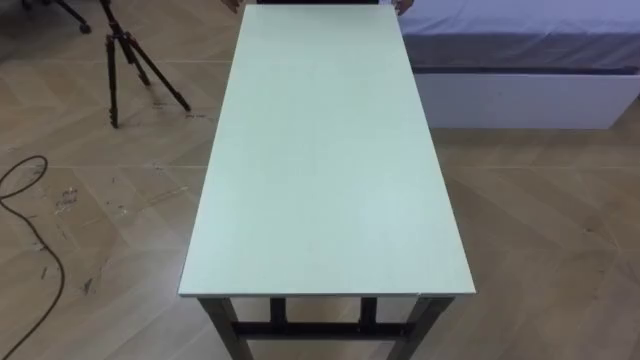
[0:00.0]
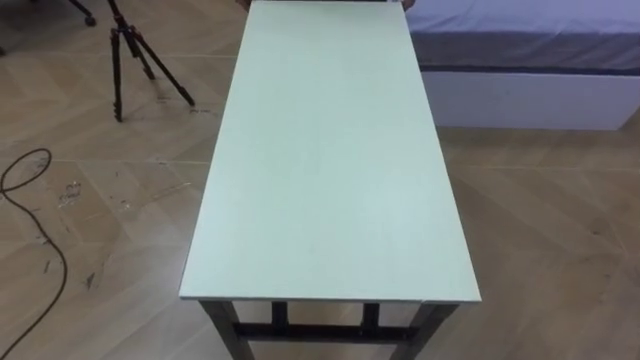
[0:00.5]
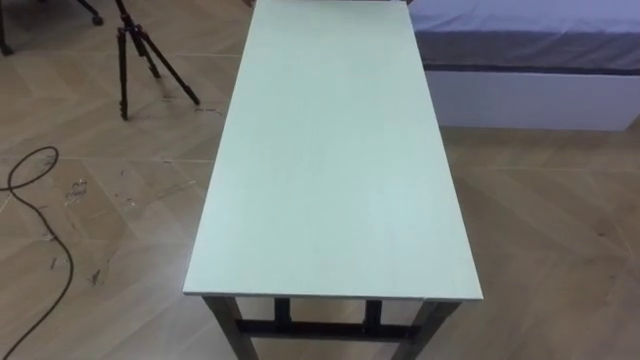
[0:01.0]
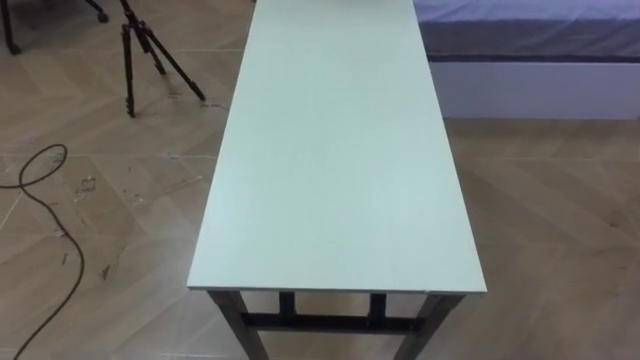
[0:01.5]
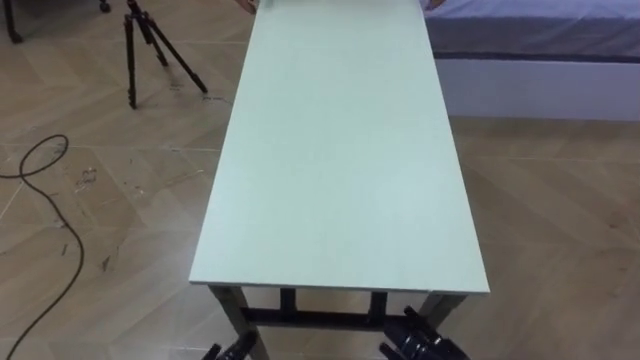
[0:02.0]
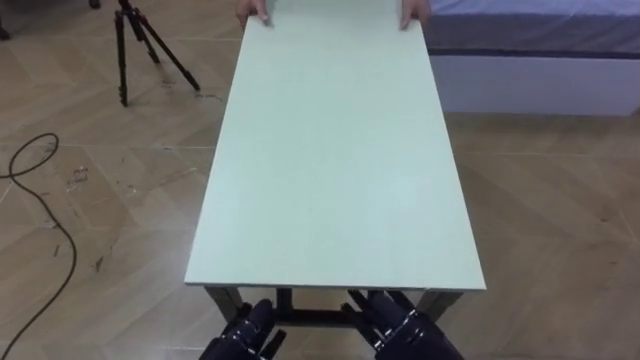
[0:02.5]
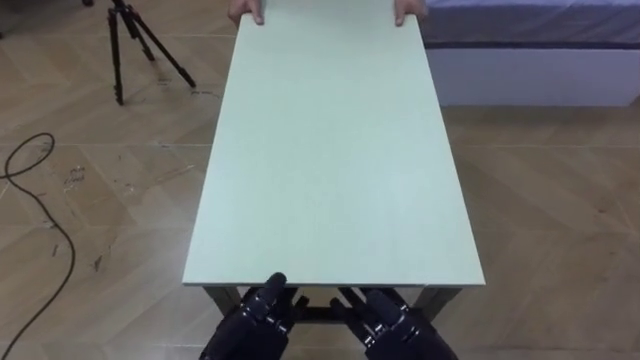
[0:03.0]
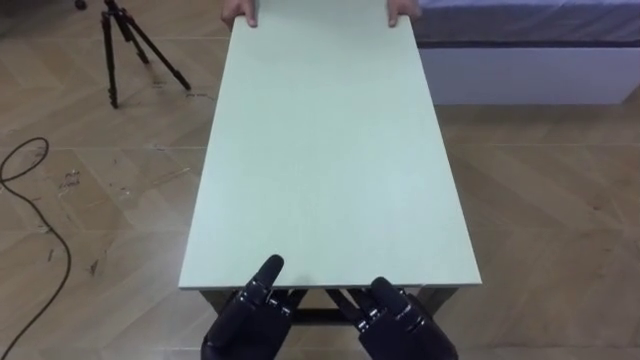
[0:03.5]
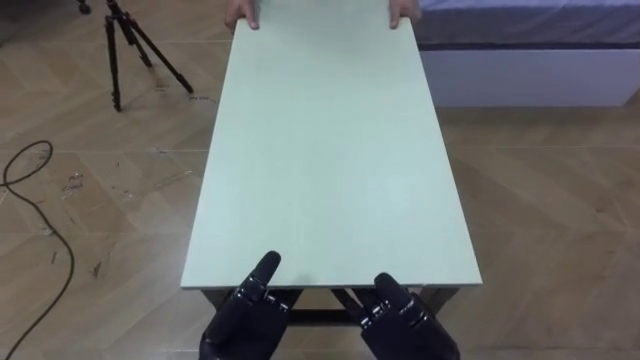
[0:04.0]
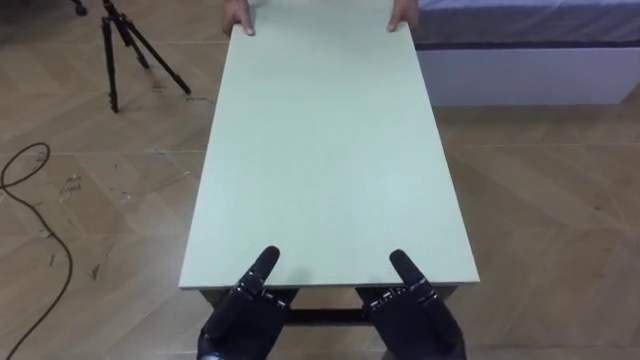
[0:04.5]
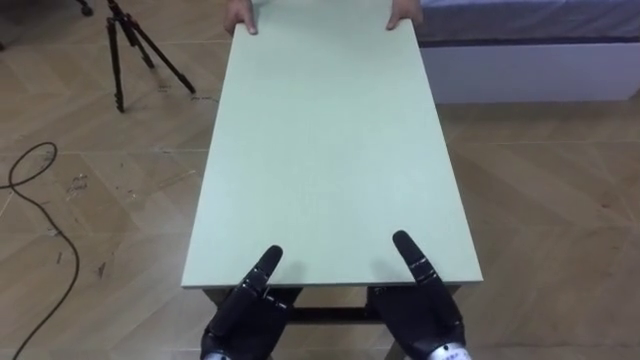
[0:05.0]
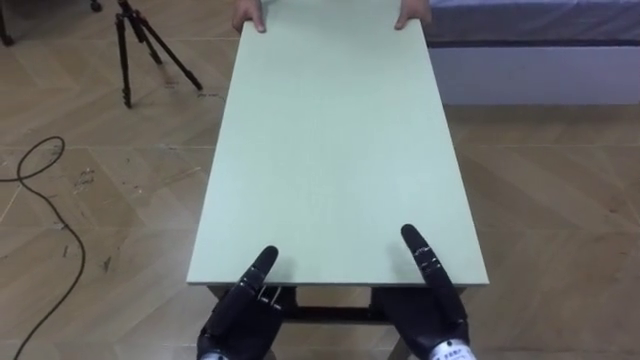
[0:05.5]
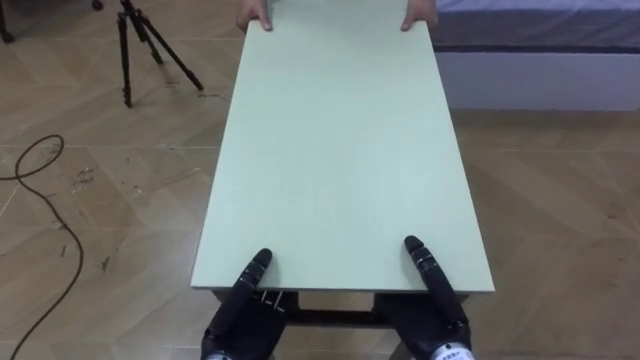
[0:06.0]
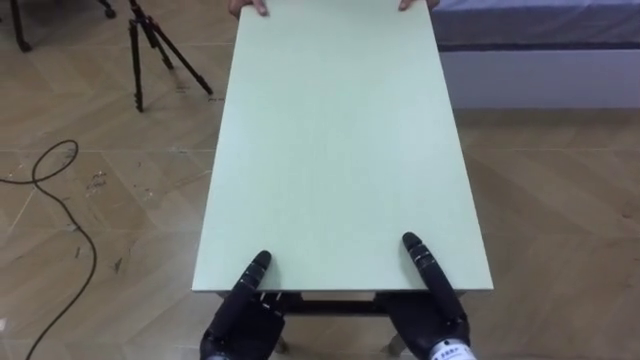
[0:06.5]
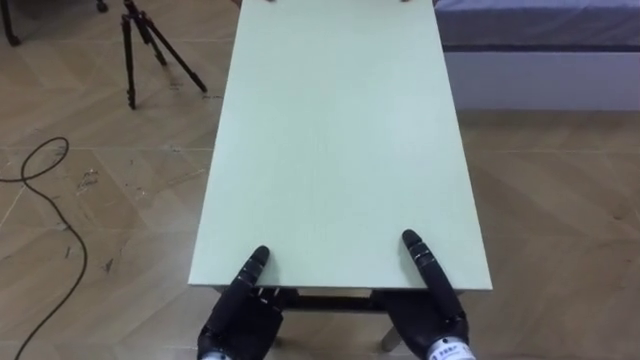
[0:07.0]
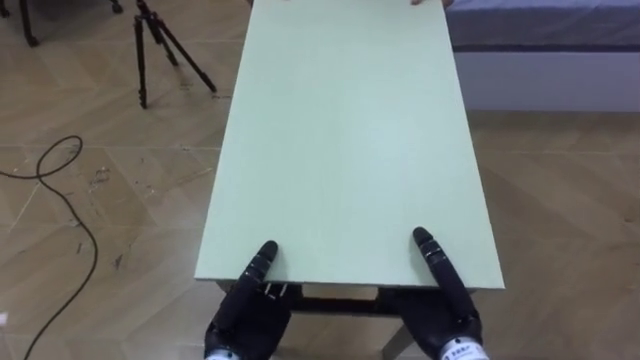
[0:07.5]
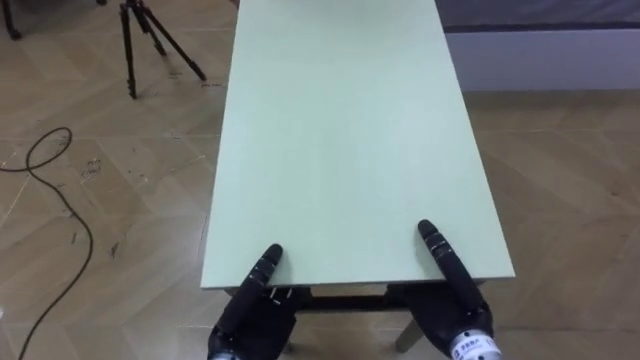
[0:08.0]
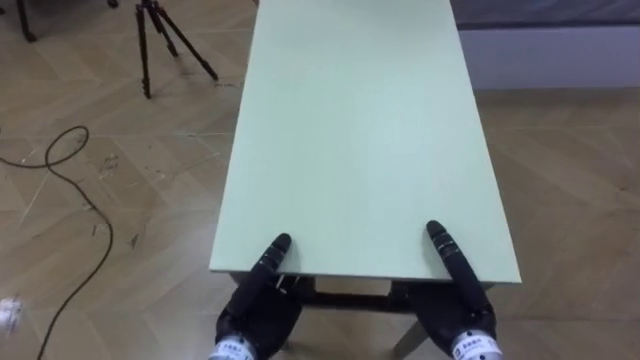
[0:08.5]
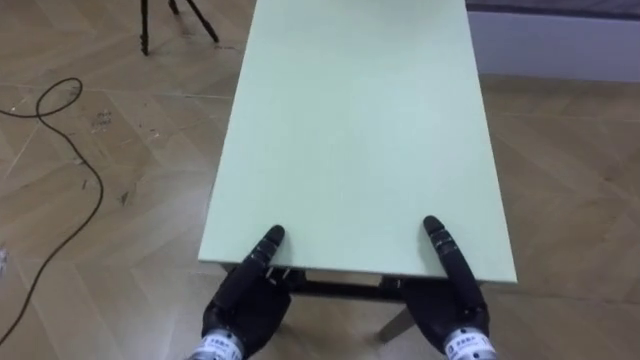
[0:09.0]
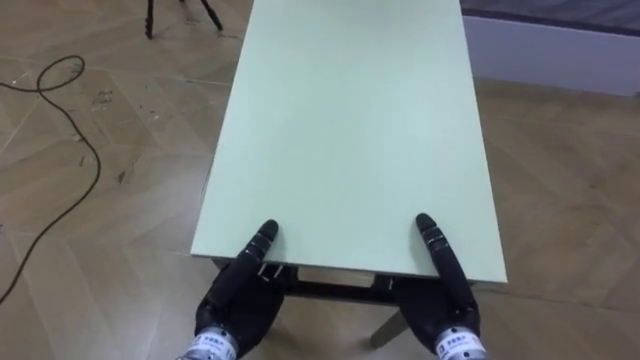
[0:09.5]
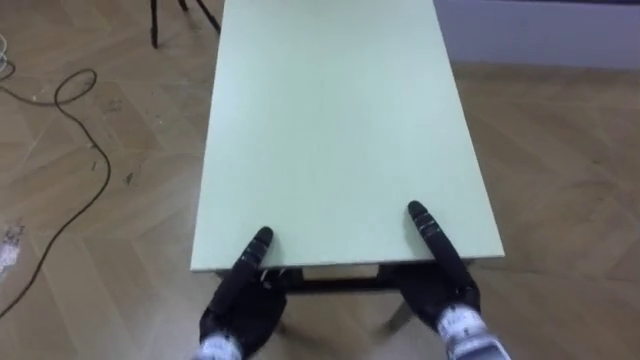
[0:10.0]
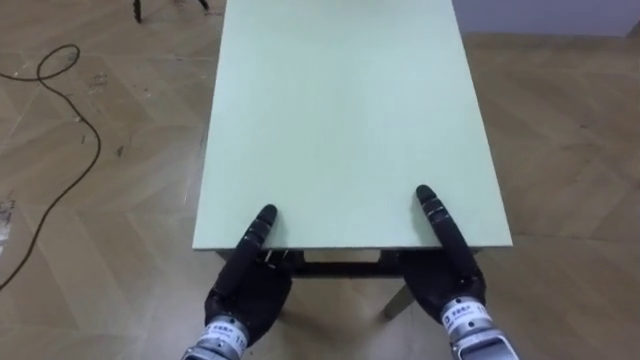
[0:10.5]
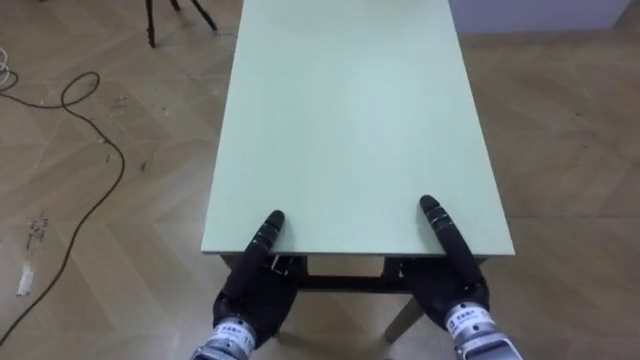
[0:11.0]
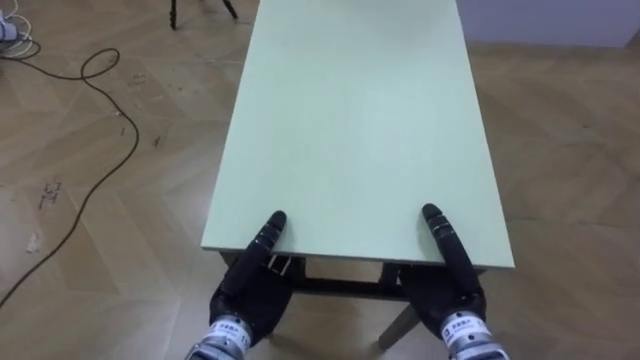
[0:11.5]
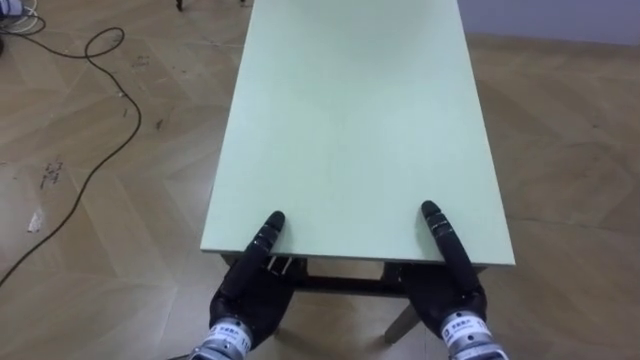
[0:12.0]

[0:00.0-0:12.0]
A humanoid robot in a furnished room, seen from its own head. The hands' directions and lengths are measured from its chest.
Task of the whole recording: Move the table to the back left with someone.
0:04.0 to 0:06.0: The left hand closes. The right hand closes.

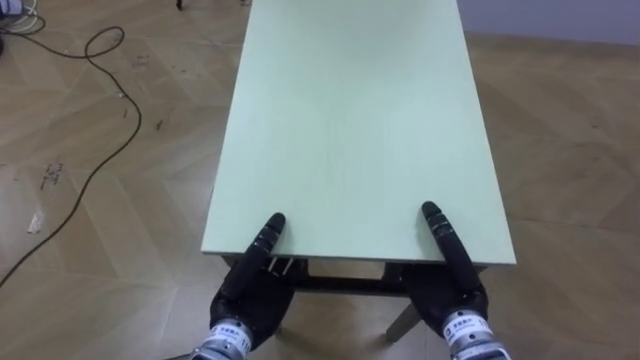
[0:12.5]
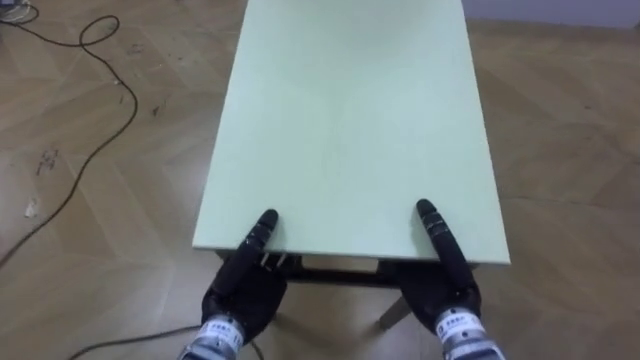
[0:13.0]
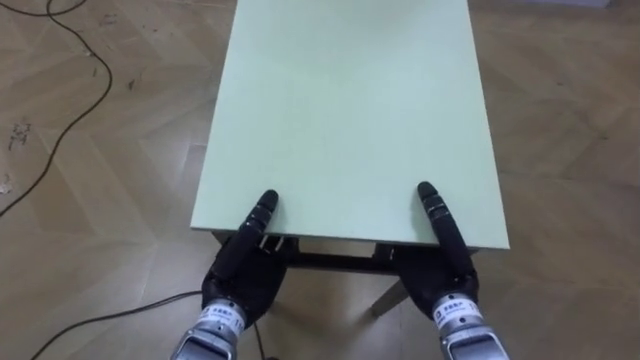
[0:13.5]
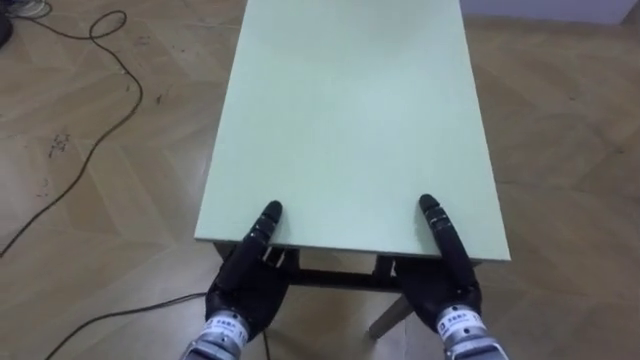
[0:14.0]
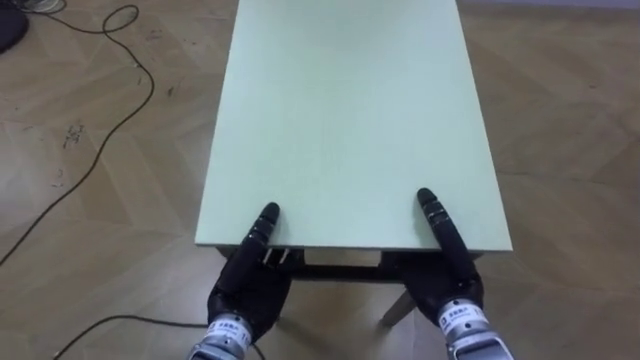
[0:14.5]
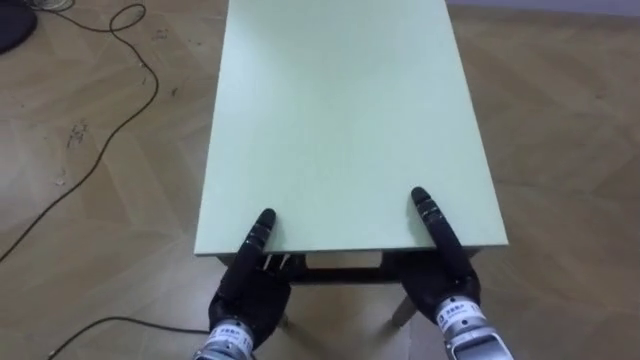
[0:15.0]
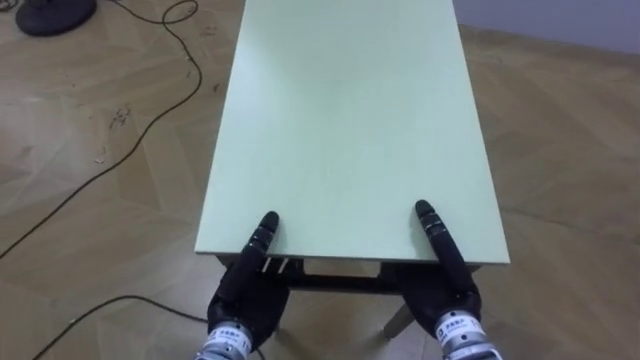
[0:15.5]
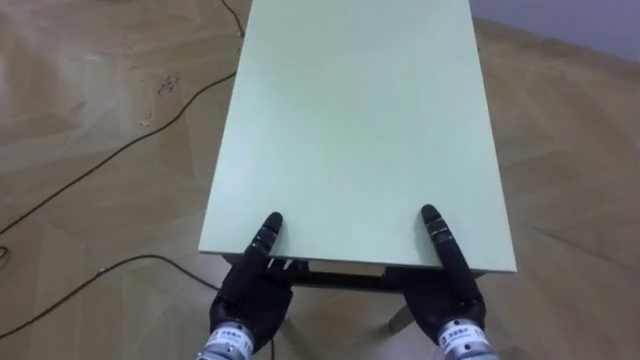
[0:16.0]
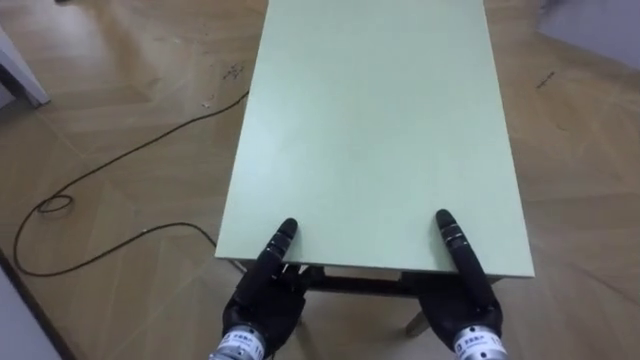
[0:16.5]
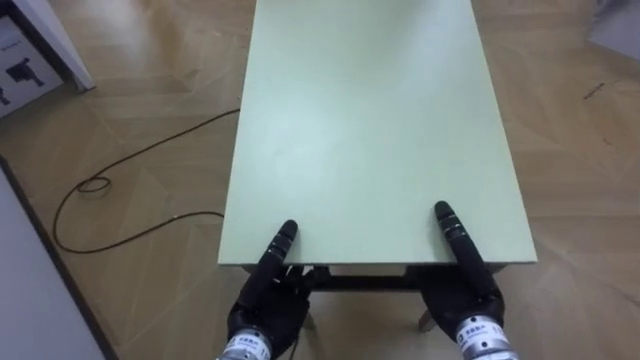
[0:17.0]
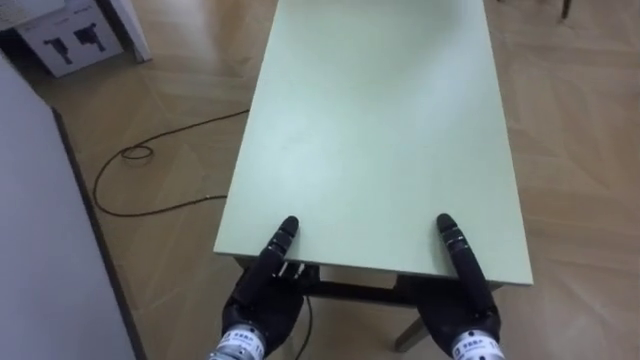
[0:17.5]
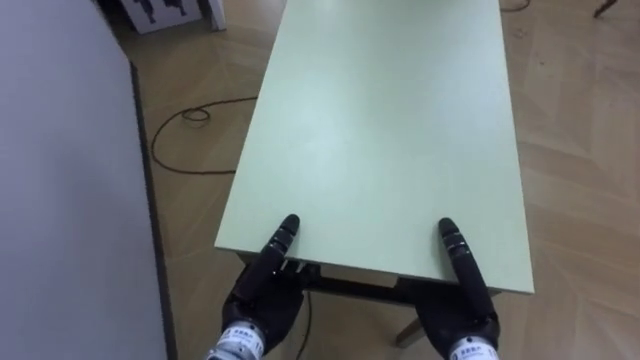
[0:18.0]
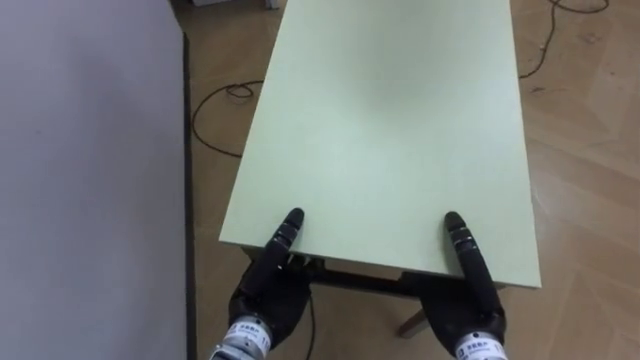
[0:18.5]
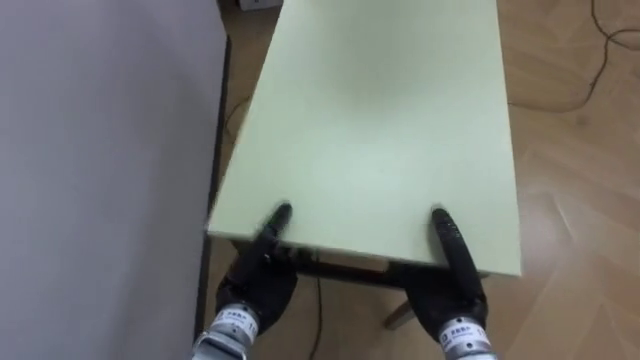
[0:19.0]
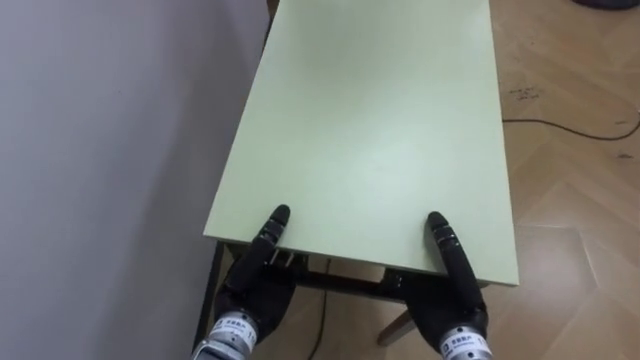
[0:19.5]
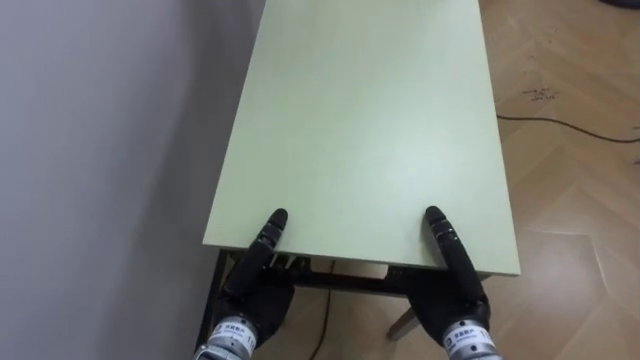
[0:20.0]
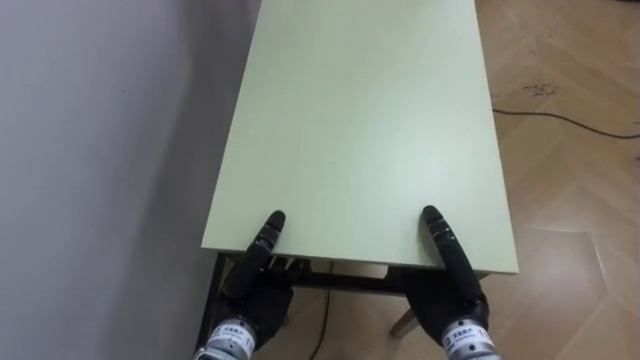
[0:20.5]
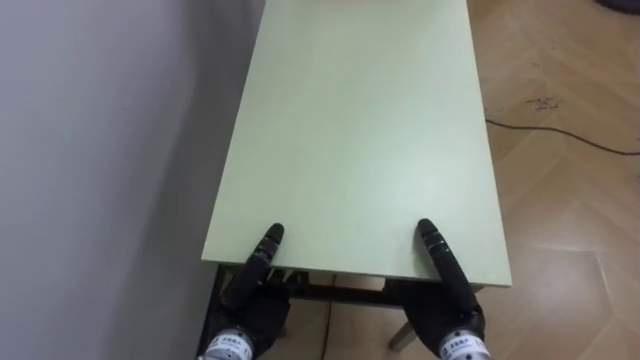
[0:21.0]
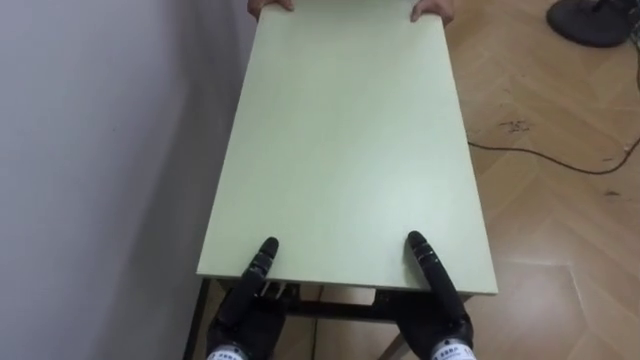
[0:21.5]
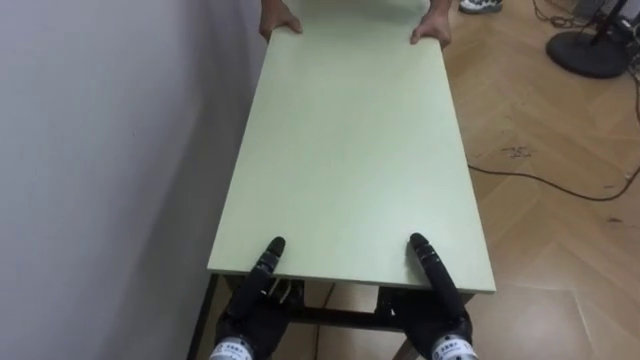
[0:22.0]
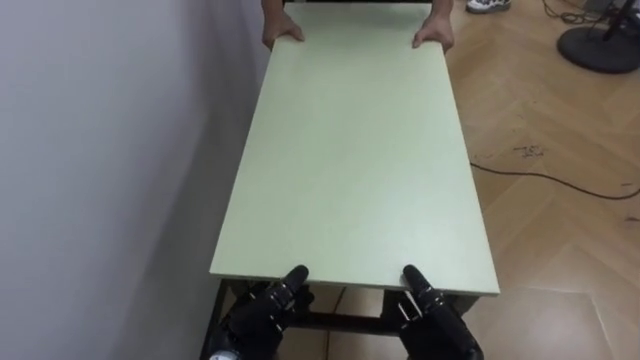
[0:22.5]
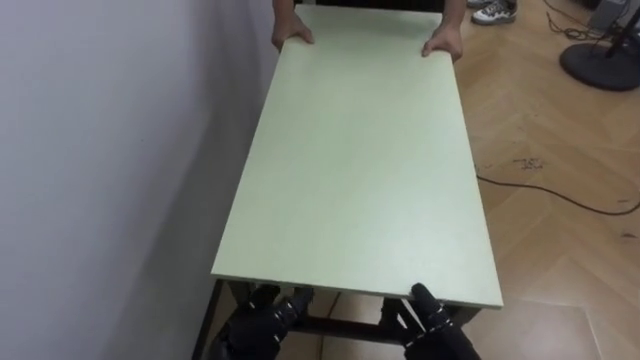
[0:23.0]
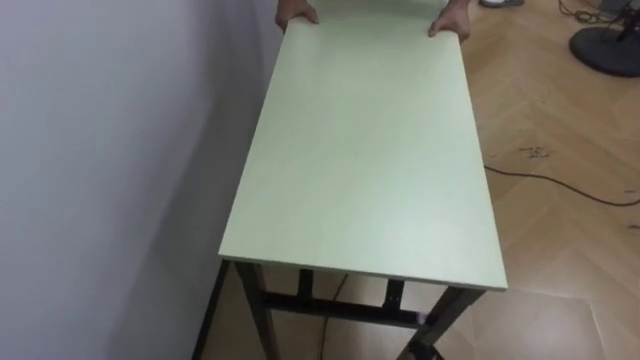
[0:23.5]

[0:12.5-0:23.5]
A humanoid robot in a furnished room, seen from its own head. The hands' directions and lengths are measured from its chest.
Task of the whole recording: Move the table to the back left with someone.
0:14.5 to 0:16.0: The robot faces roughly 20 degrees further to its left.
0:16.0 to 0:18.0: The robot's body swings approximately 45 degrees to its left.
0:18.0 to 0:20.0: The robot rotates roughly 25 degrees to its left.
